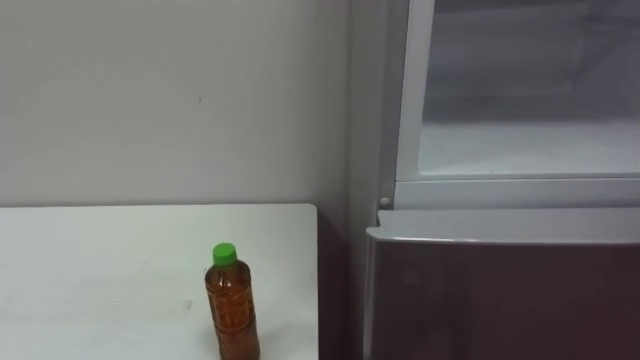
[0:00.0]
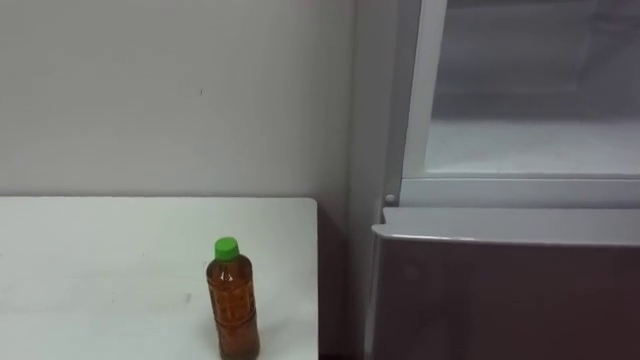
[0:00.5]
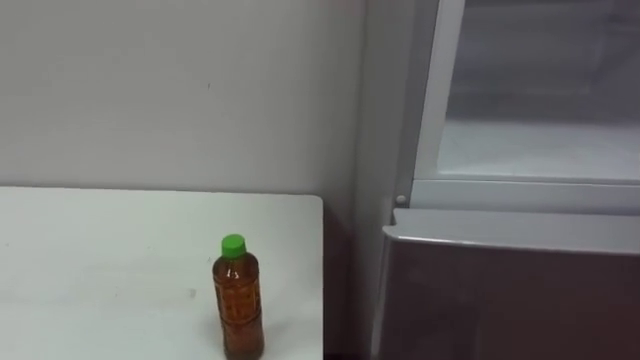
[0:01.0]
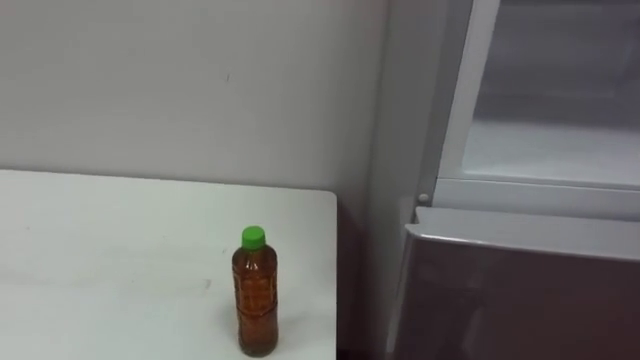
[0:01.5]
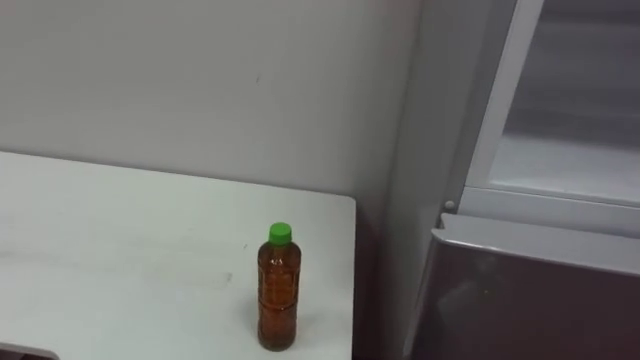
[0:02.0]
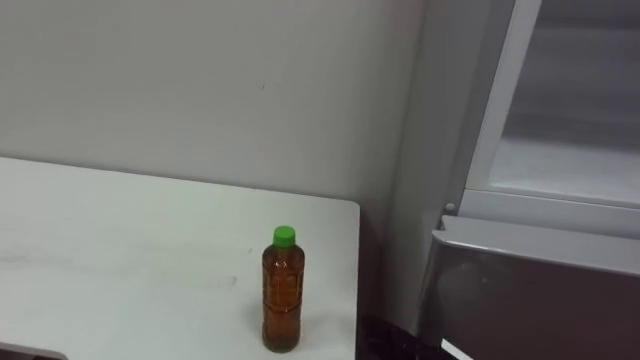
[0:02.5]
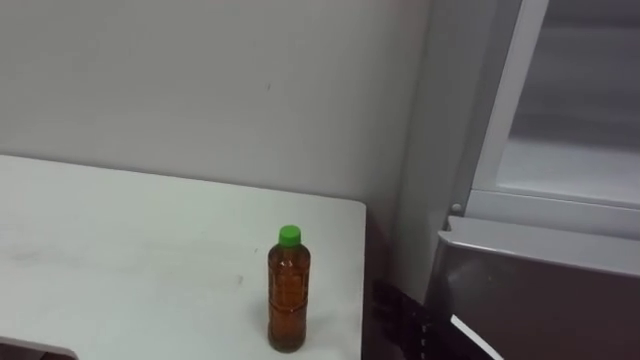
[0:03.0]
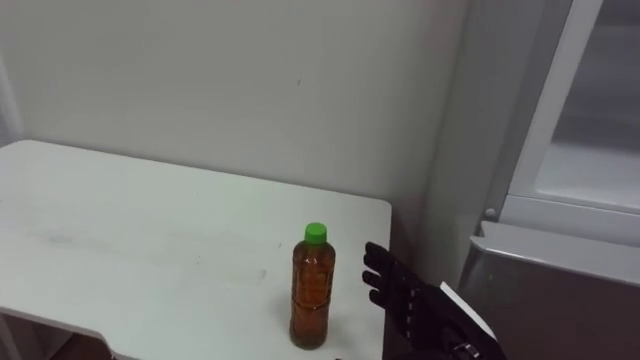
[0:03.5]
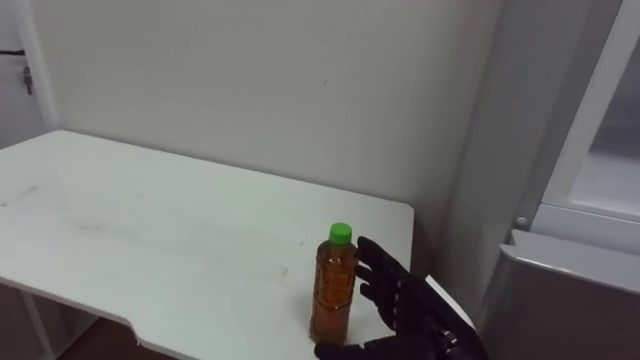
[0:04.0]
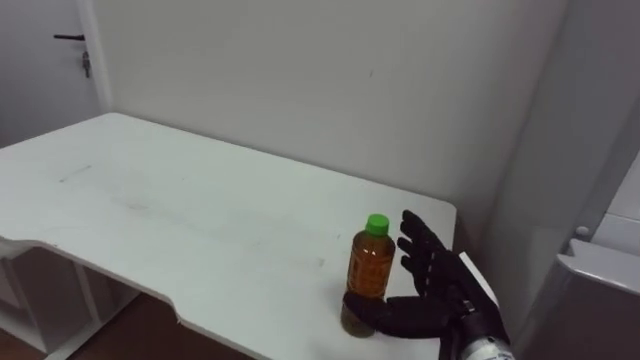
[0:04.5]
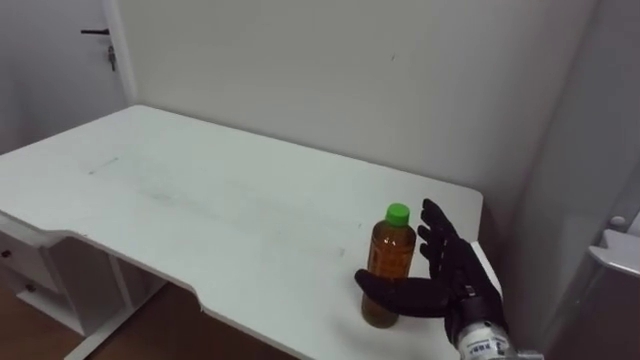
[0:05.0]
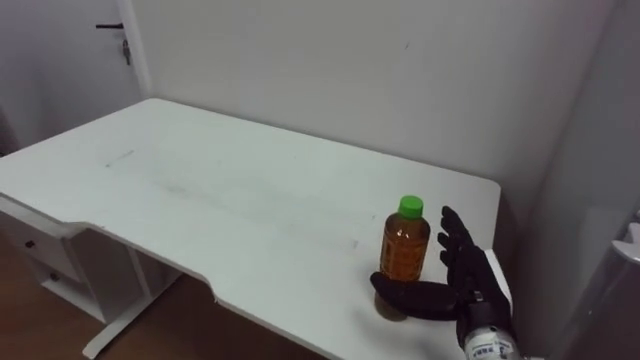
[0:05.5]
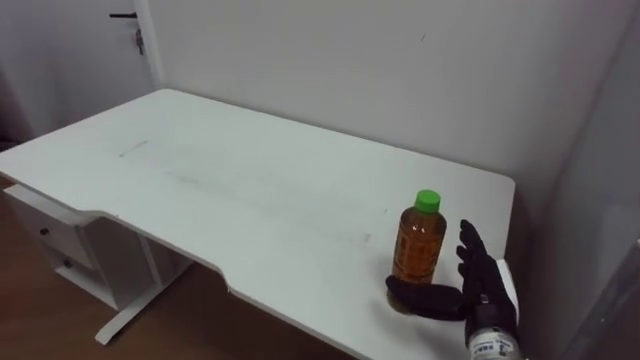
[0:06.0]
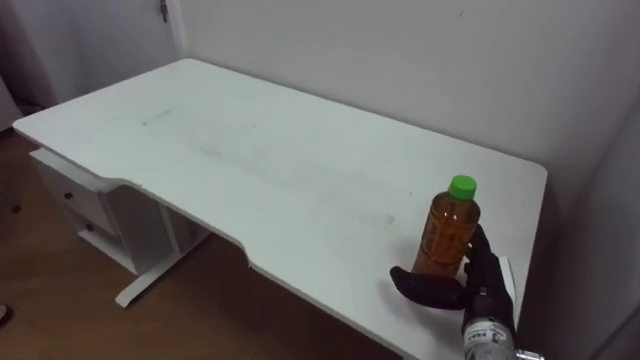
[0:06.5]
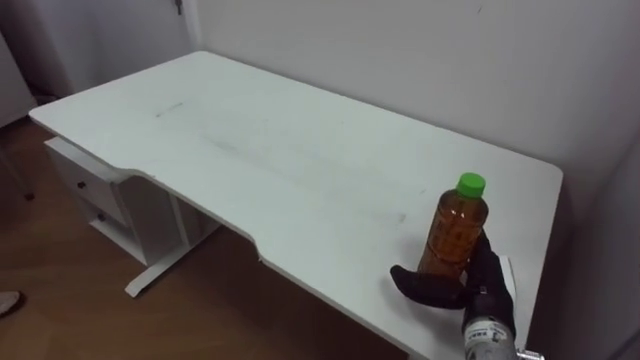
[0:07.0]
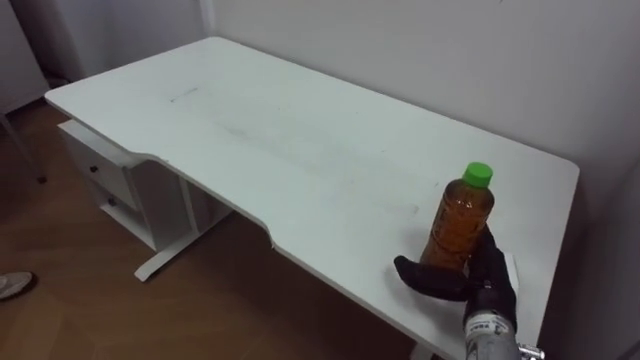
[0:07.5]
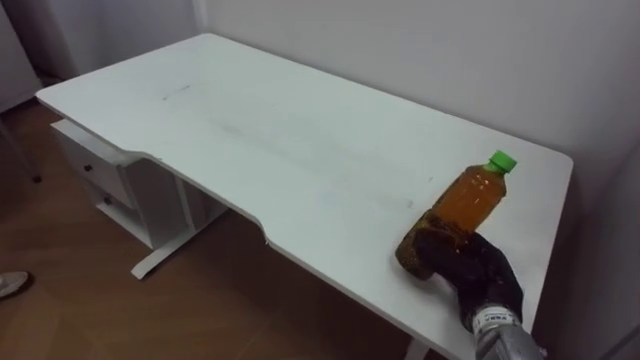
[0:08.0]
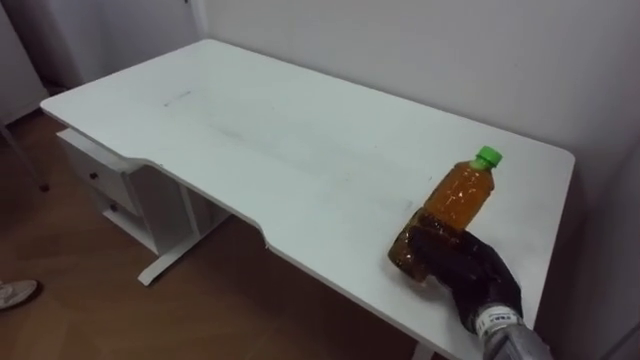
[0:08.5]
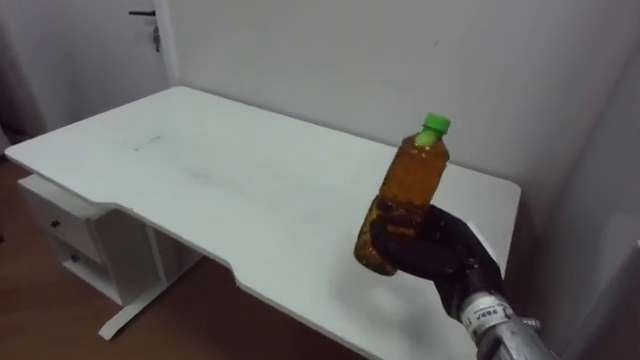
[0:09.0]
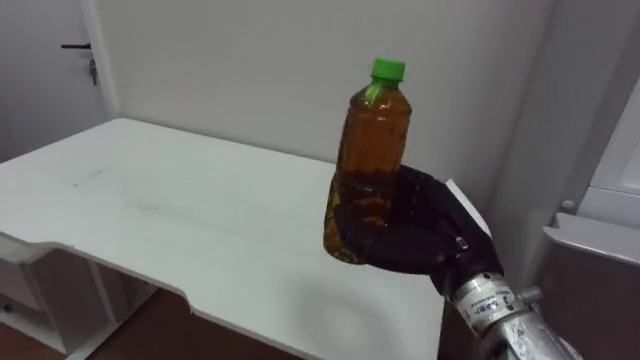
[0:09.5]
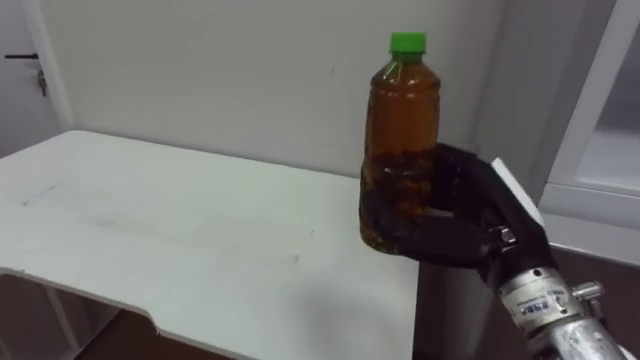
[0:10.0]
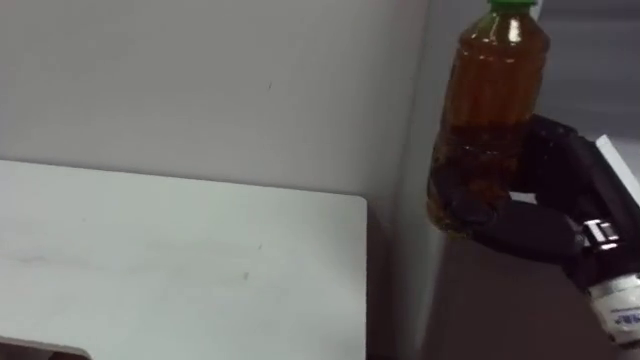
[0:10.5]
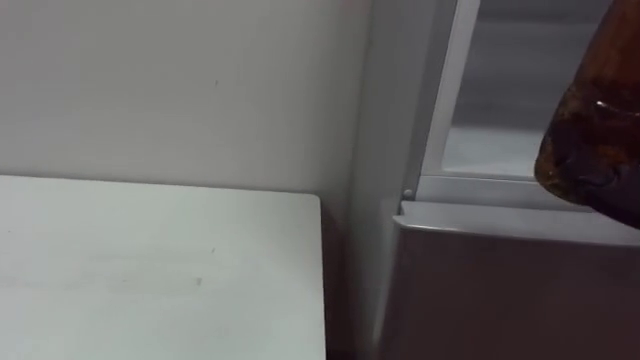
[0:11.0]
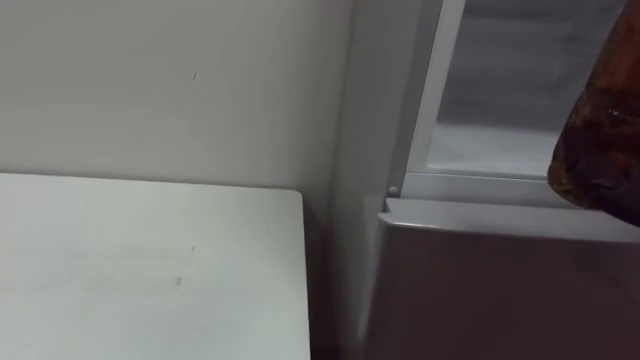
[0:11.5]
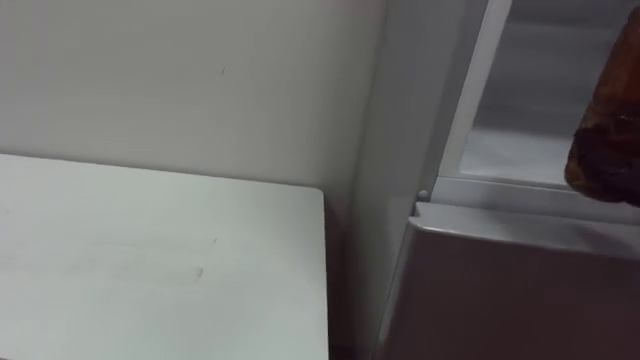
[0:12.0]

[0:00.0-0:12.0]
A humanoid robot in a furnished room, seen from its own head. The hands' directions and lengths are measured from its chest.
Task of the whole recording: Open the upper refrigerator door, put the drink from the table into the refrigerator, and then close the refrigerator door.
0:04.0 to 0:06.0: The right hand is displaced to the right and forward by approximately 10 cm.
0:06.0 to 0:08.0: The right hand closes its fingers.
0:08.0 to 0:10.0: The right hand travels upward by approximately 15 cm.

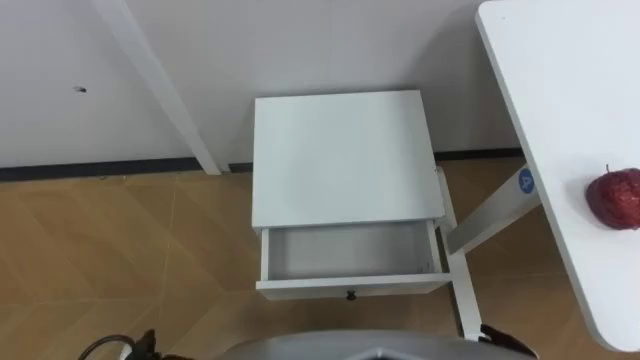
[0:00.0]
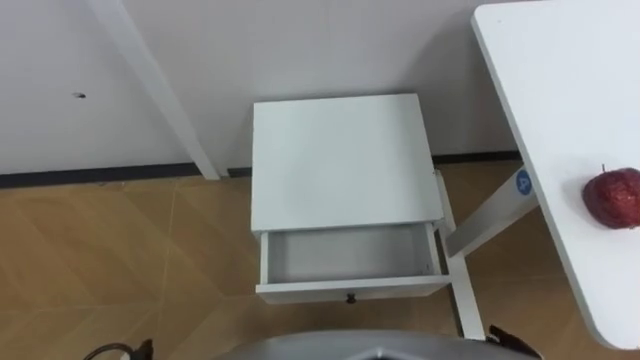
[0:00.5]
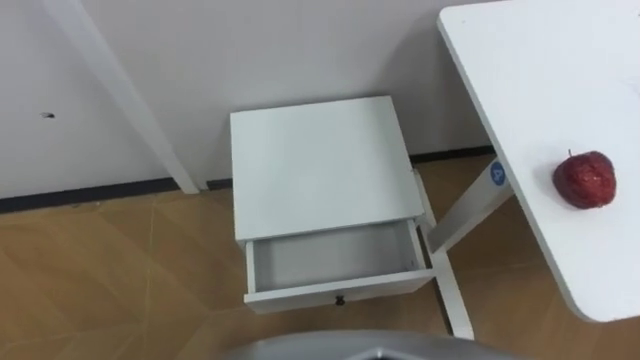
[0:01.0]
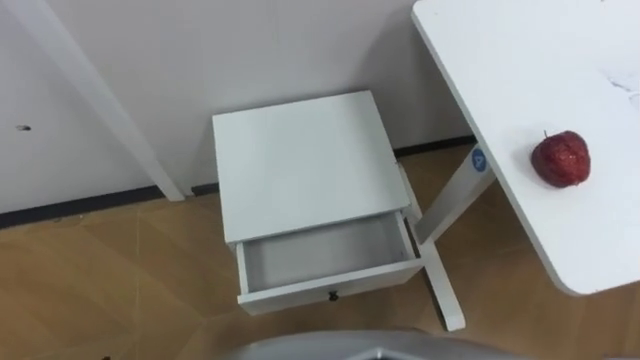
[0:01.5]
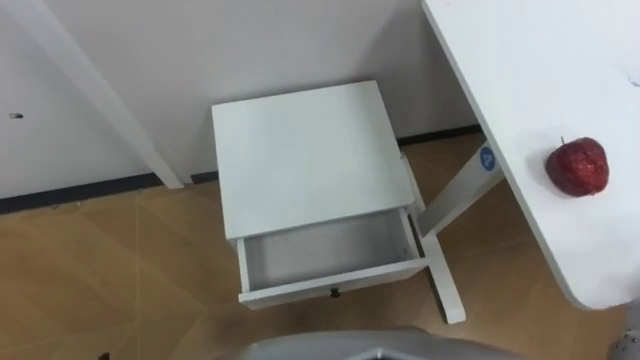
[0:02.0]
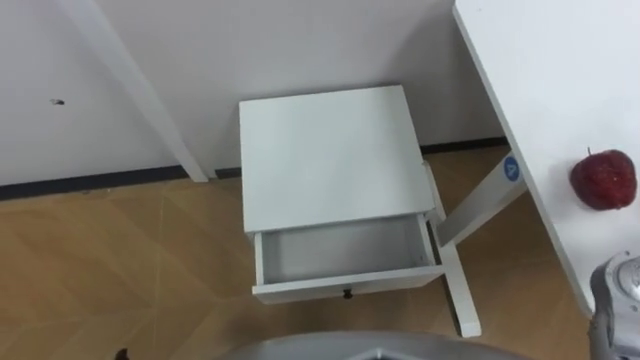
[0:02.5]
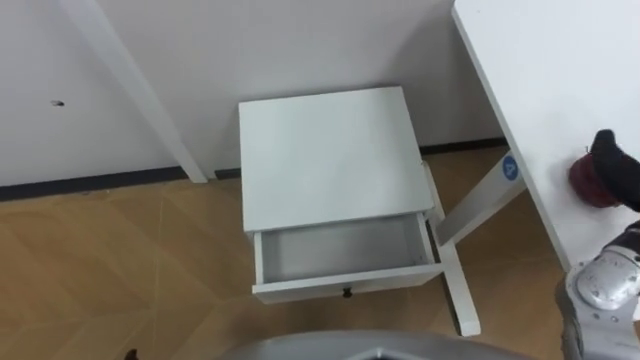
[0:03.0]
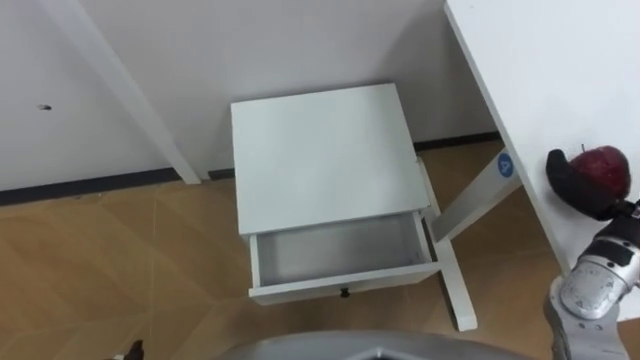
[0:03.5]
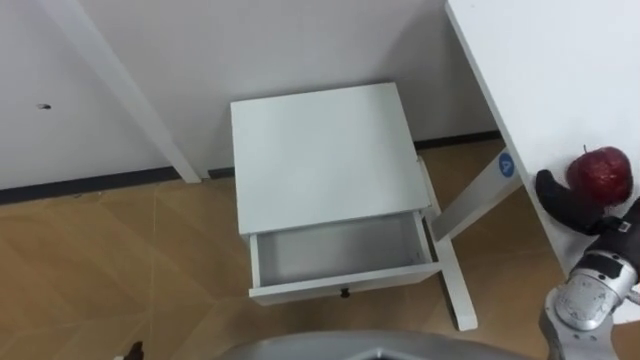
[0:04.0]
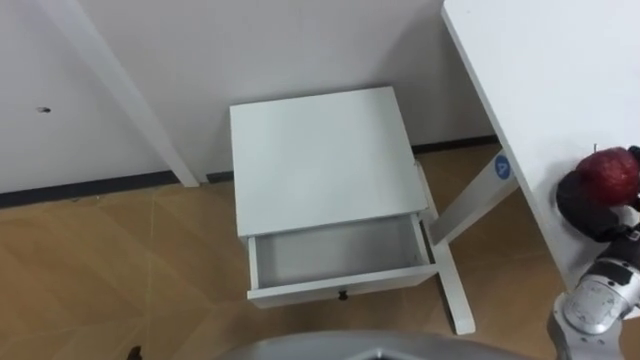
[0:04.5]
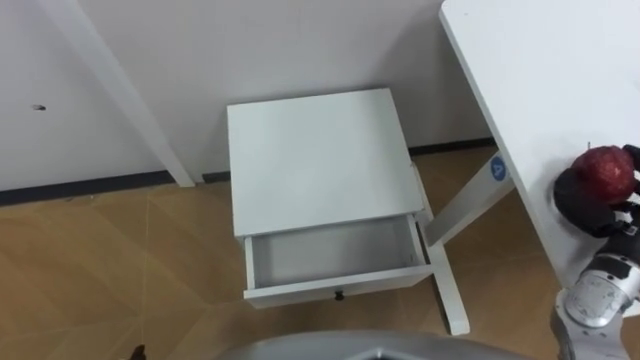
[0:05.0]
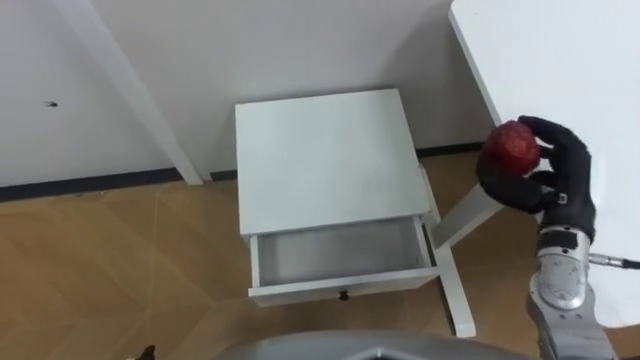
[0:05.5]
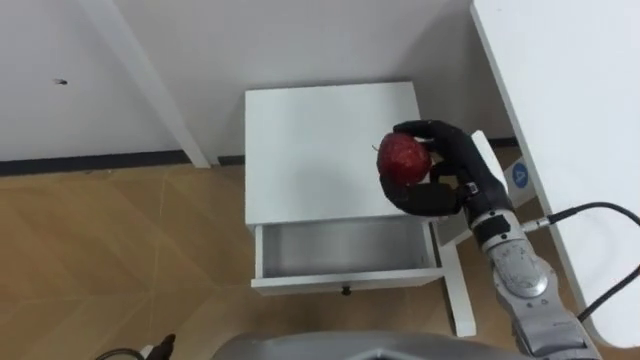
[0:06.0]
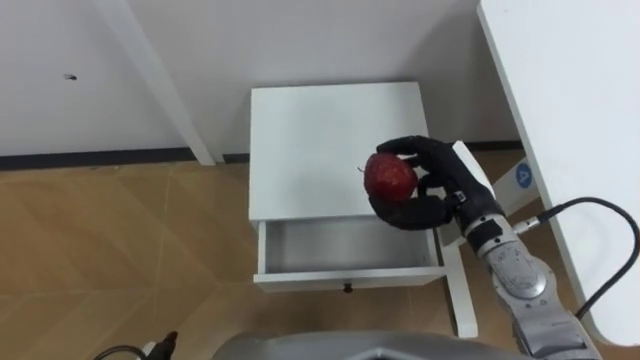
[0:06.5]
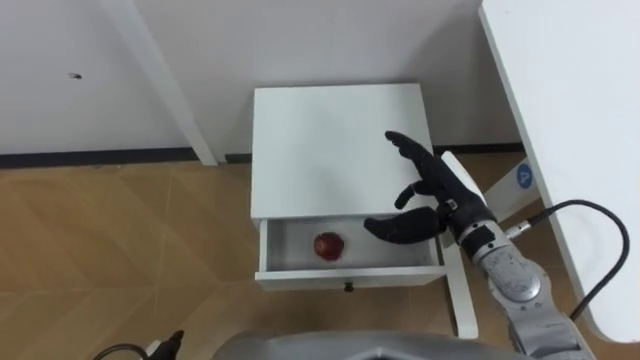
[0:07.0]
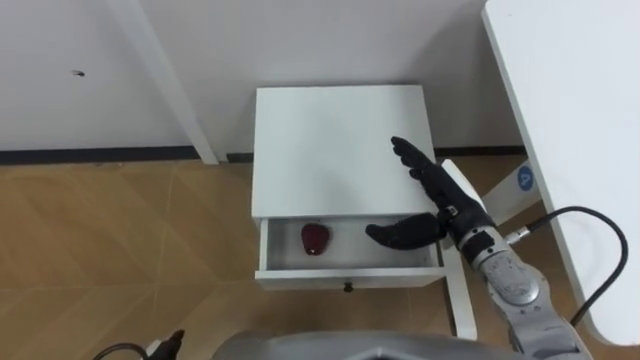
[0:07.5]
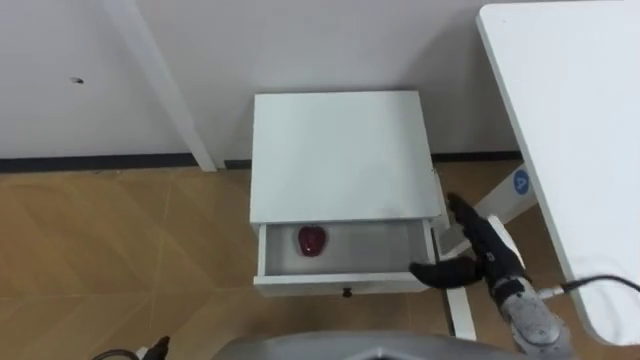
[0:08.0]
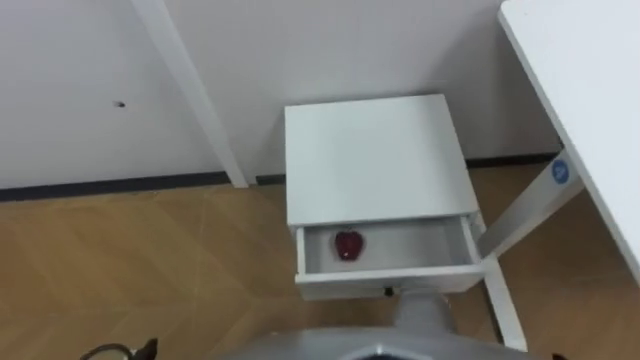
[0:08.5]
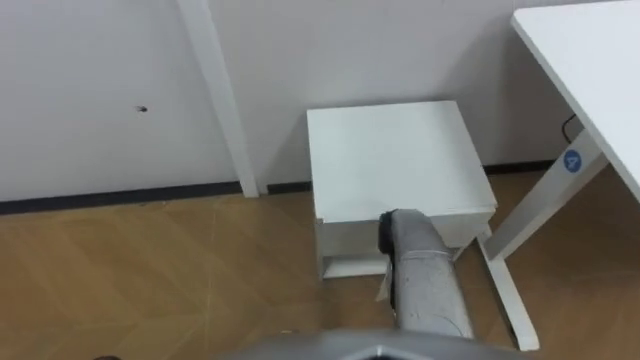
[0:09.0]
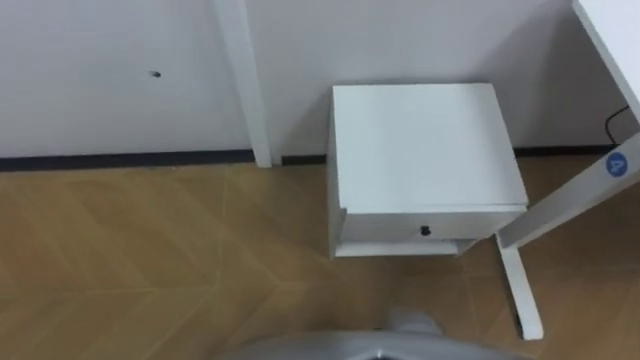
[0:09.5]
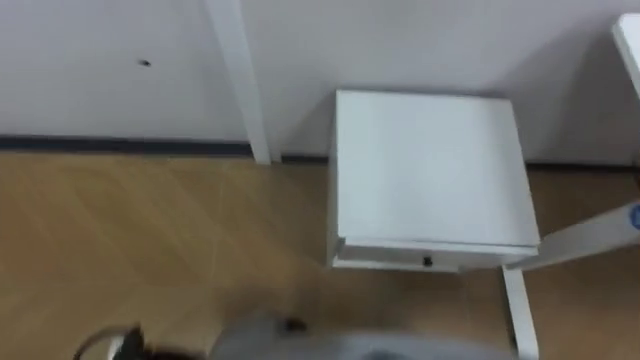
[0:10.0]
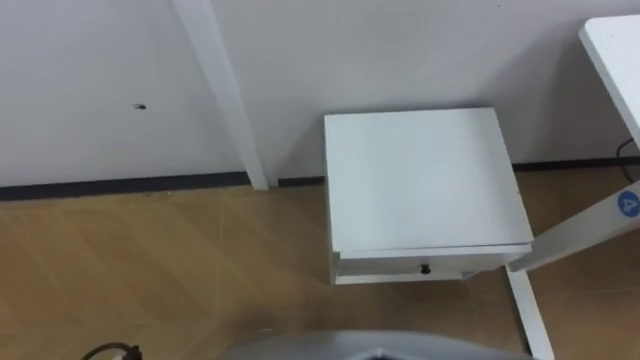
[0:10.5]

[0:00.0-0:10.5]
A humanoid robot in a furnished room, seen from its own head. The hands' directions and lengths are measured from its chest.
Task of the whole recording: Pick up the apple from the table, put it in the drawer, and close the drawer with leg.
0:04.0 to 0:06.5: The right hand moves to the left, about 15 cm, and closes its fingers.
